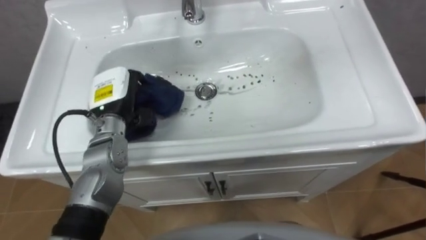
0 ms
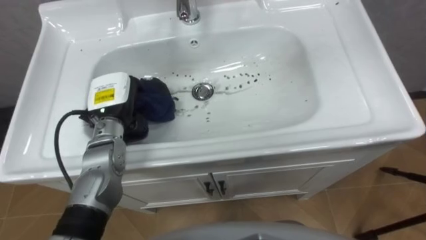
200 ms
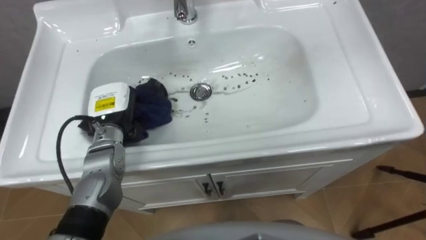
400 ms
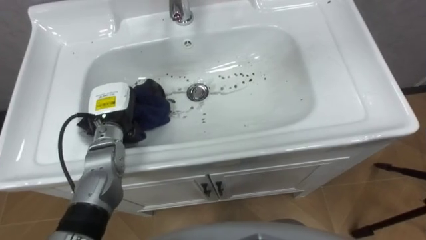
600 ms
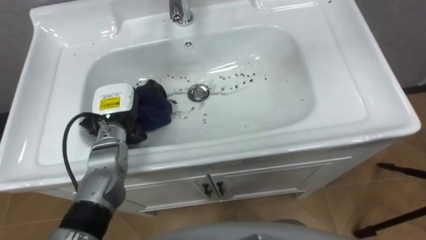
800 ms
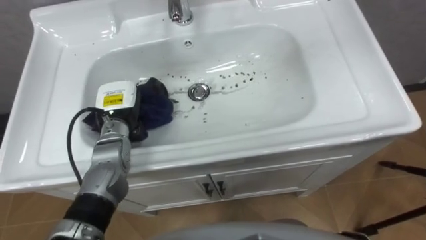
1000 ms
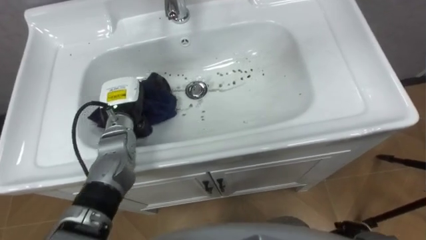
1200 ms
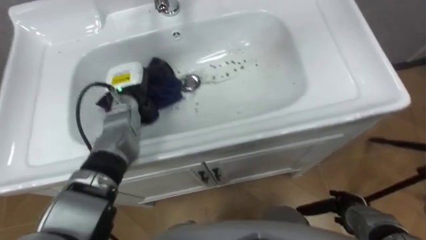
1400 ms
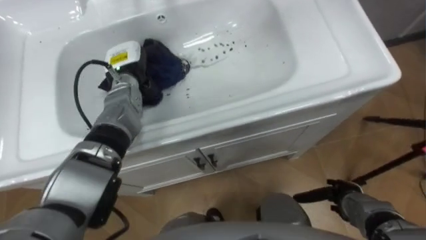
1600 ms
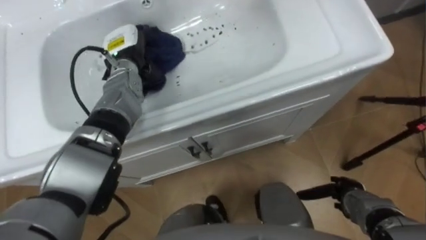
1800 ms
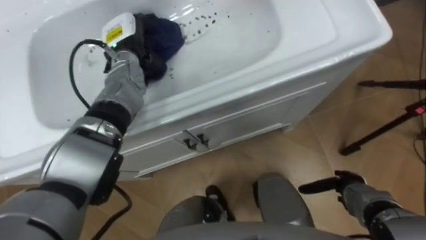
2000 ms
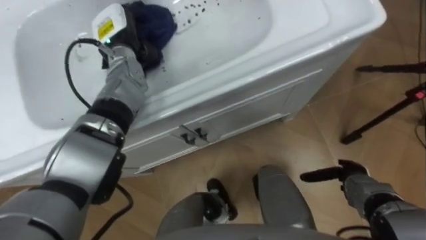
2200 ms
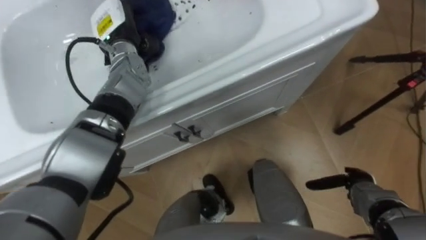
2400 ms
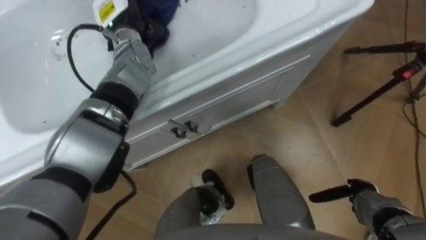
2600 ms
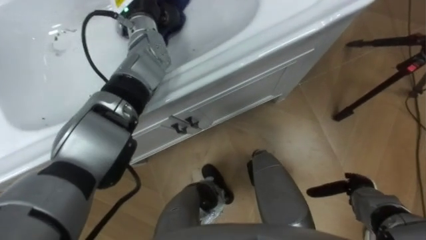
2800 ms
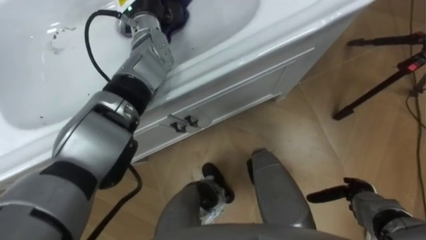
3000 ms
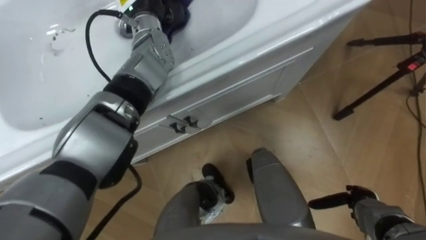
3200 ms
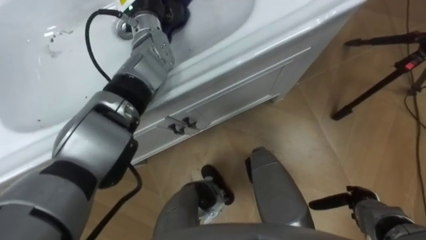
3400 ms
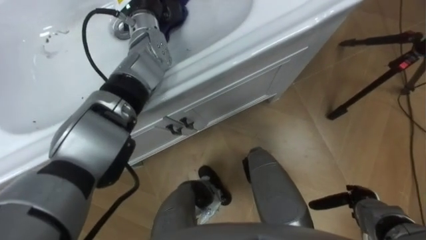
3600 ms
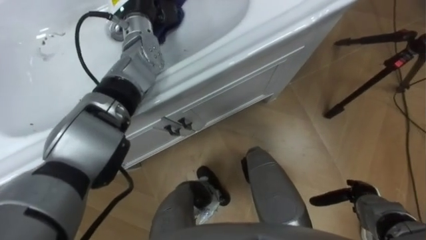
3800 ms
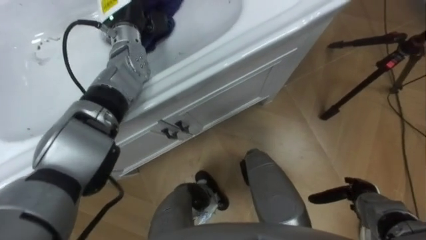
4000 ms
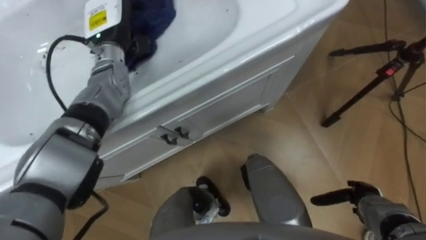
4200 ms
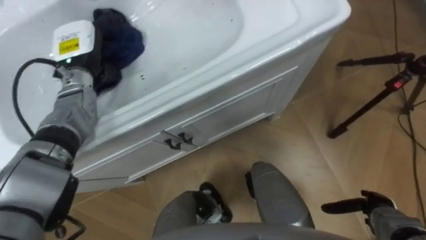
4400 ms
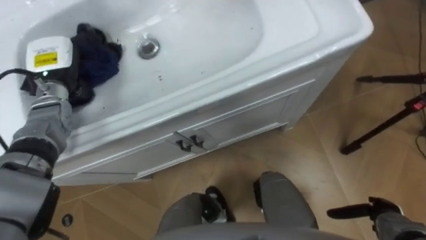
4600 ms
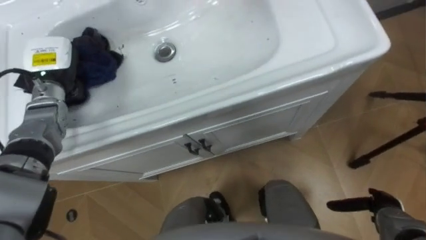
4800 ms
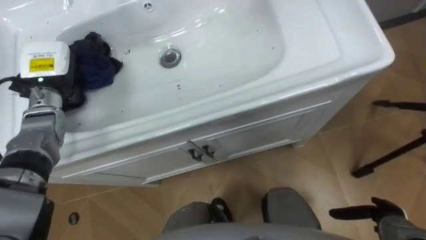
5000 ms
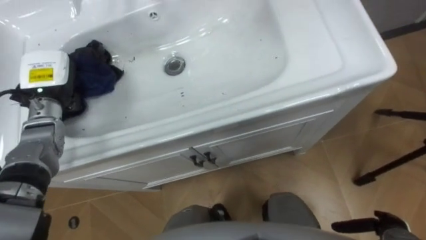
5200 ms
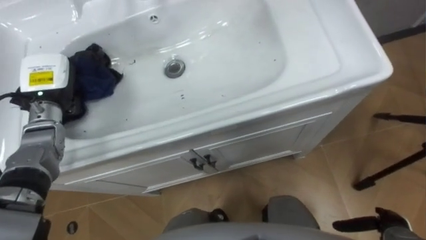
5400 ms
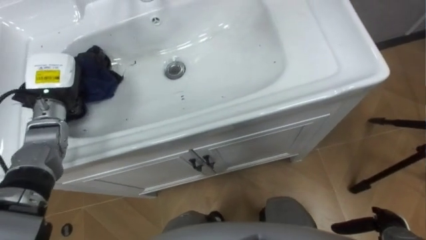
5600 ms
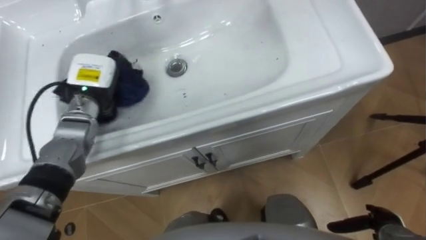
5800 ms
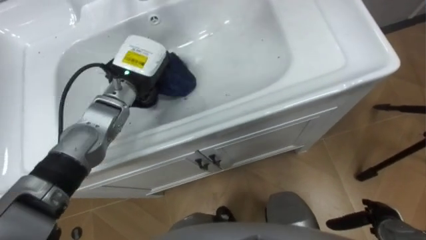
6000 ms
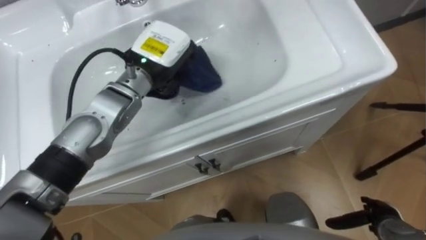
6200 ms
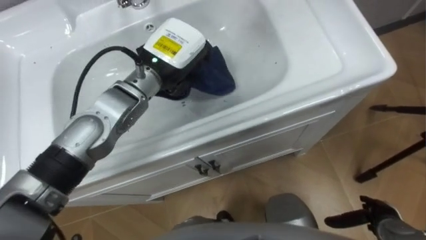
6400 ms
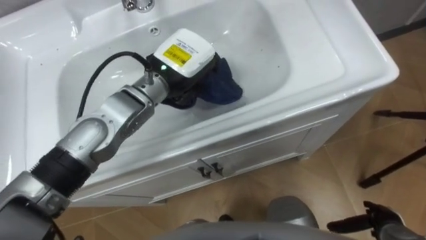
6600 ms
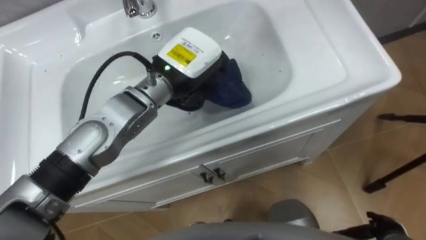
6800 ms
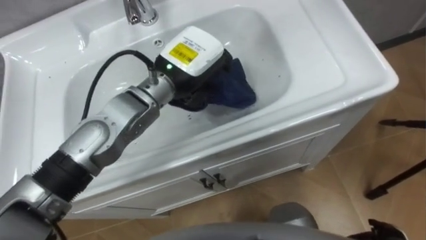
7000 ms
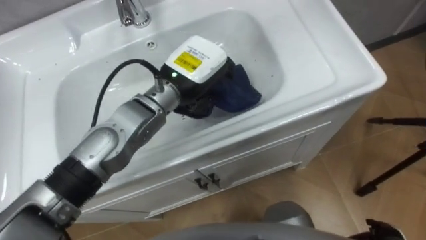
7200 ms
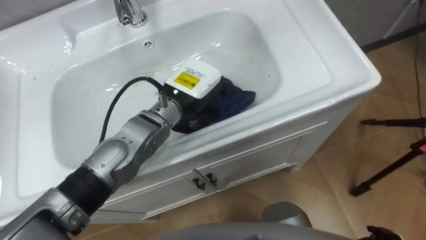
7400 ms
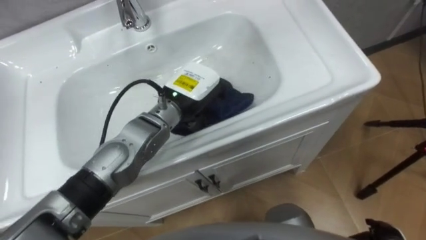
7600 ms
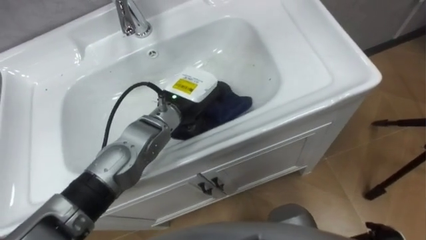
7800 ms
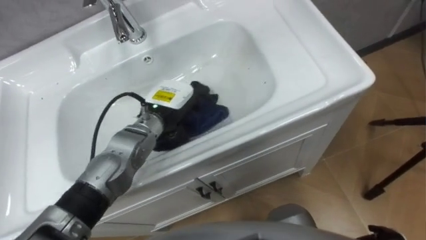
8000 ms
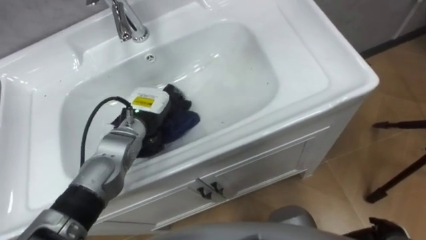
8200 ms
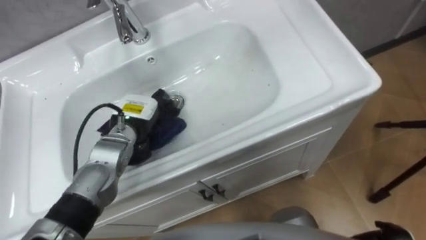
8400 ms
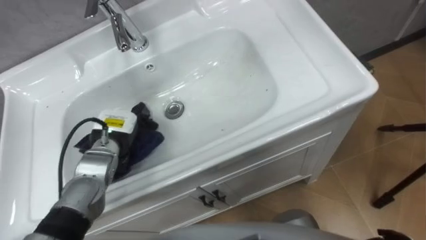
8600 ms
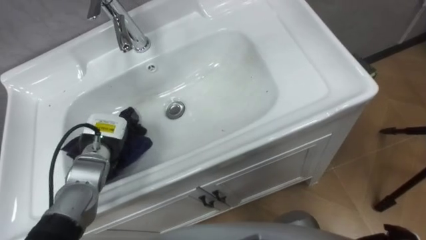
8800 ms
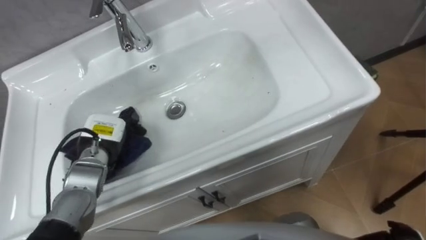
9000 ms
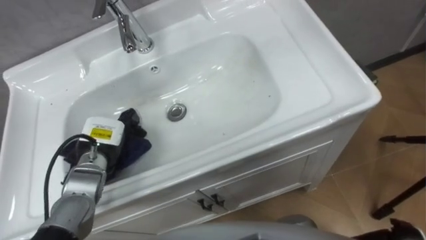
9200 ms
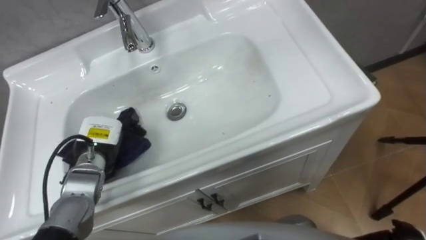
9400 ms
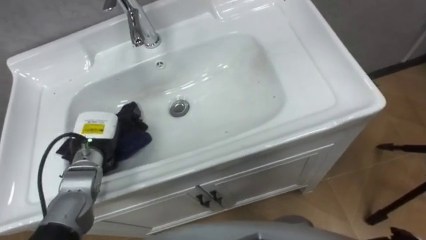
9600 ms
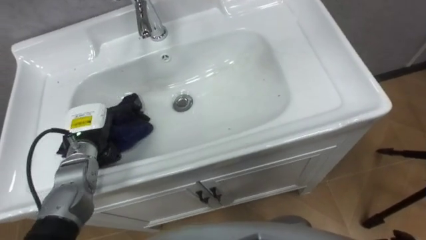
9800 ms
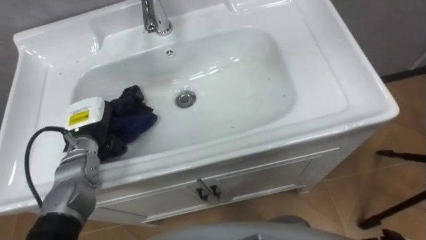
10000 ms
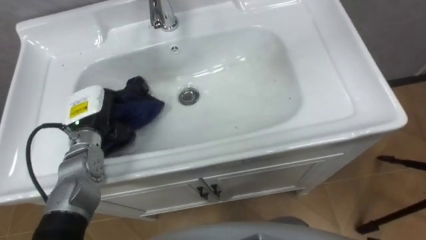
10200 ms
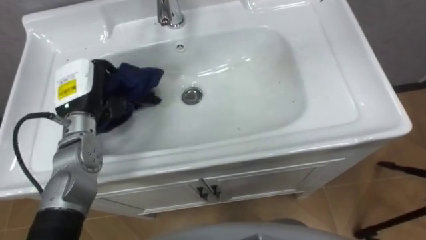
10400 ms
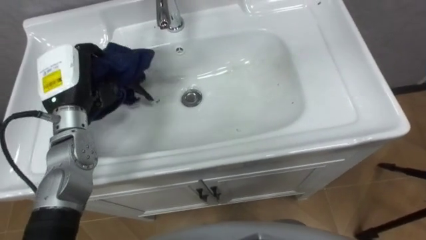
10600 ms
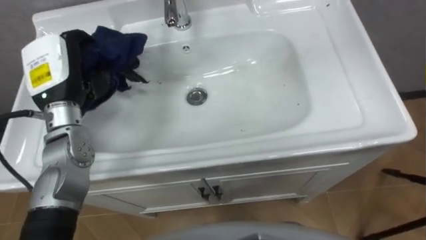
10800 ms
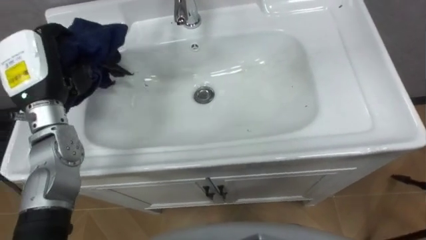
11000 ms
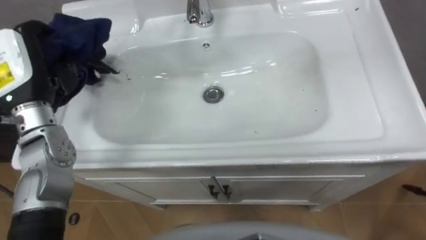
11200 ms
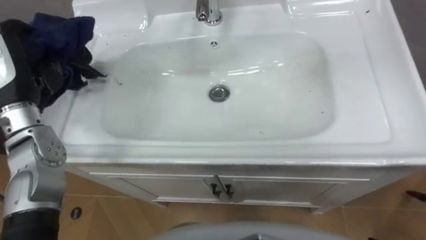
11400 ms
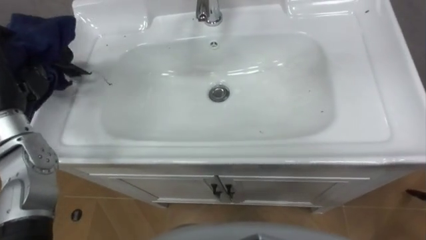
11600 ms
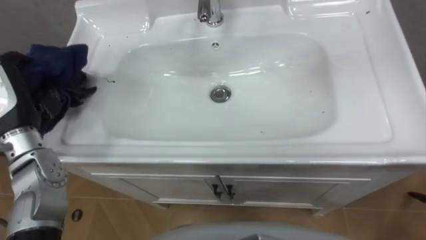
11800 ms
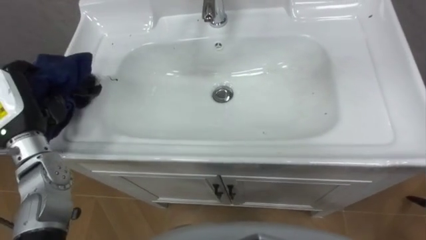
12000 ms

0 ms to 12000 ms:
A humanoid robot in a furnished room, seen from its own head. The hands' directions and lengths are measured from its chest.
Task of the whole recording: Use the cloth on the right to wipe away the black stain in the sink.
0 ms to 1600 ms: The left hand is displaced forward by roughly 10 cm.
4400 ms to 6000 ms: The left hand heads to the right, covering some 10 cm.
6000 ms to 7600 ms: The left hand shifts about 10 cm to the right.
7600 ms to 9000 ms: The left hand shifts approximately 20 cm to the left and downward.
9000 ms to 10400 ms: The left hand moves upward and forward, some 10 cm.

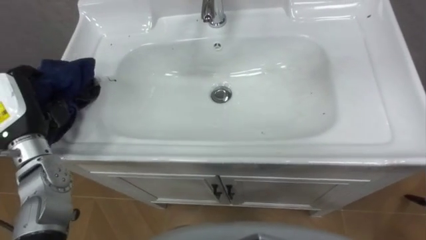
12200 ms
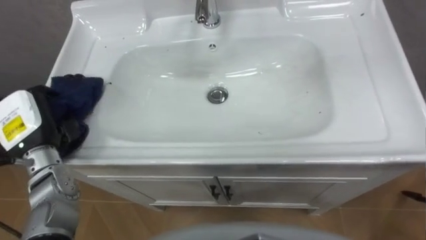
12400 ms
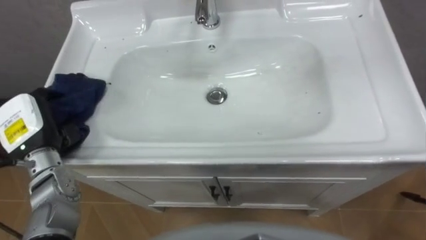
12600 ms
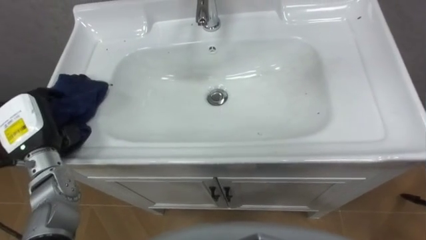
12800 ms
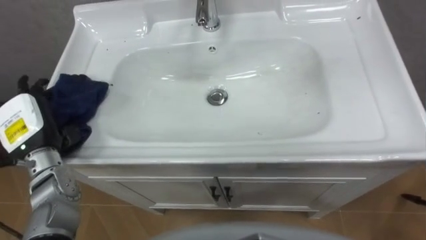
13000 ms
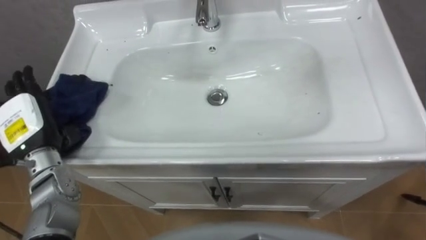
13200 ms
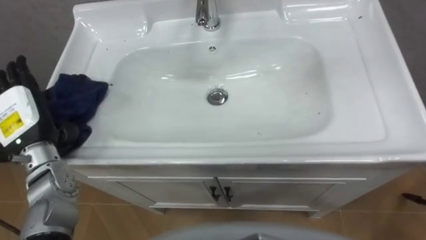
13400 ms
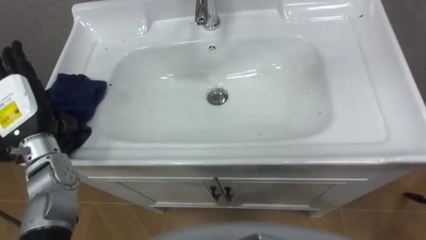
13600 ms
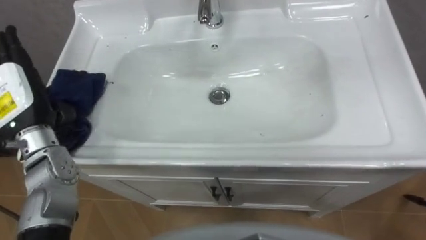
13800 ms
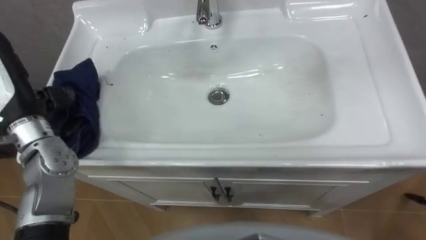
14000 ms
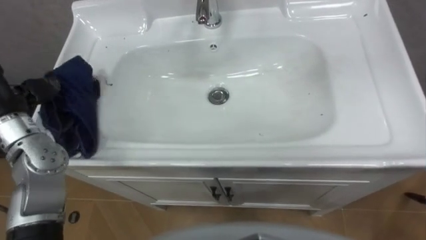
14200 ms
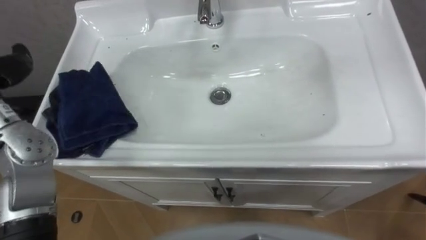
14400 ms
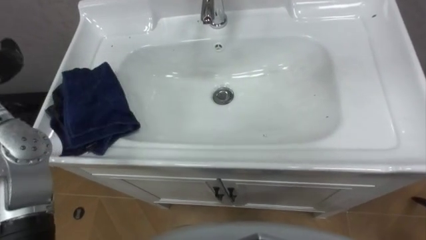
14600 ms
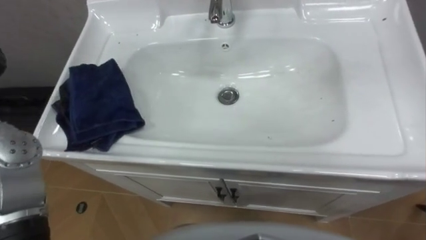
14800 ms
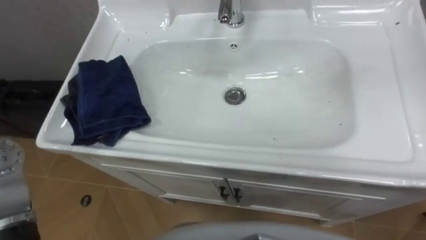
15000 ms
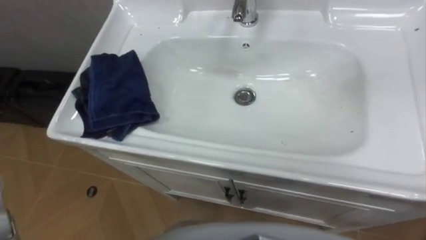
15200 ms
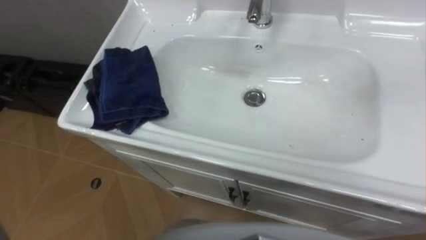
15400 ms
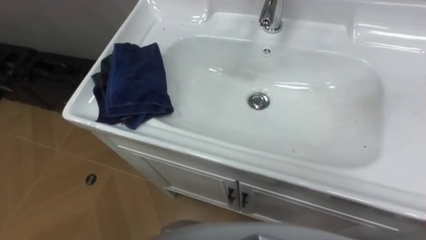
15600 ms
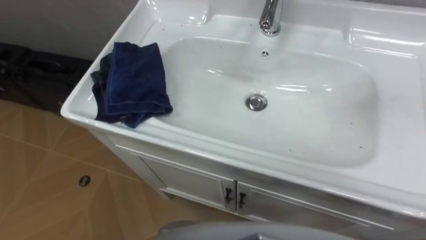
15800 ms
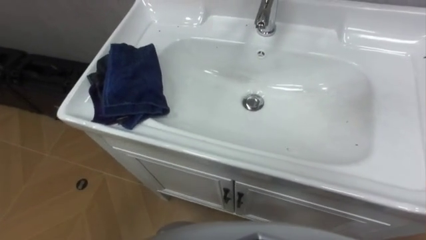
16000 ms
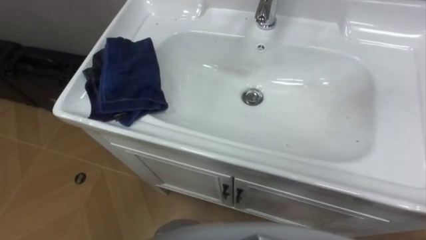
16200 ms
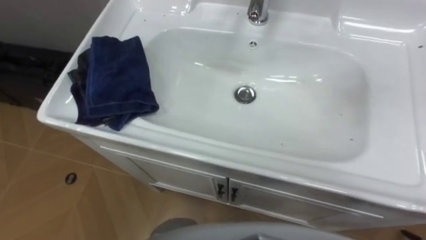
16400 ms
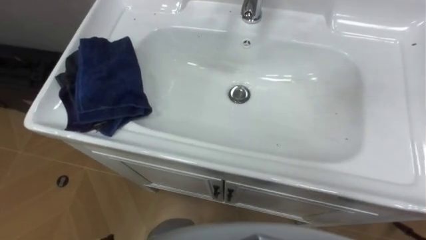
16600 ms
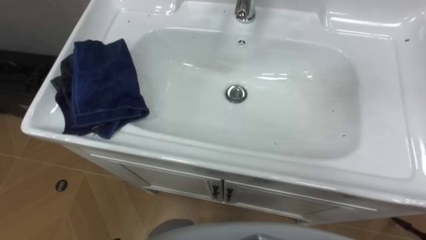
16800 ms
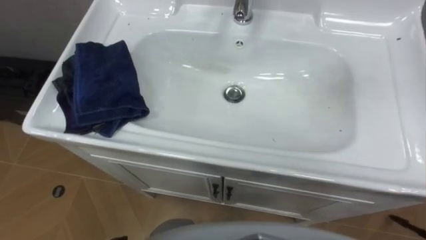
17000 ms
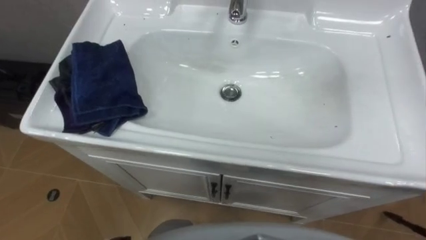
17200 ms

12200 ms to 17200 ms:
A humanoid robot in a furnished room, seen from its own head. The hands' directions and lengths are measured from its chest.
Task of the whole recording: Use the cloth on the right to wipe away the black stain in the sink.
12200 ms to 13800 ms: The left hand opens its fingers.
